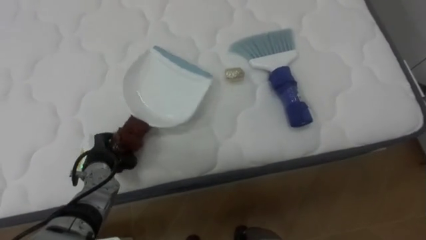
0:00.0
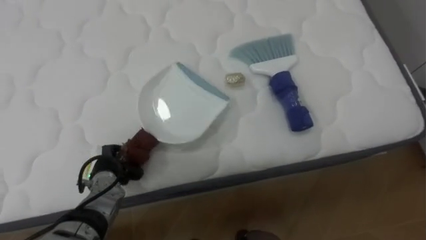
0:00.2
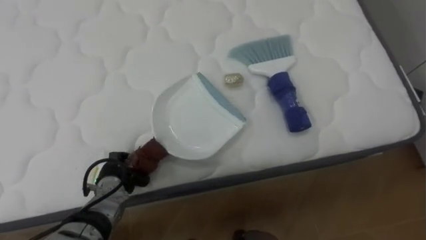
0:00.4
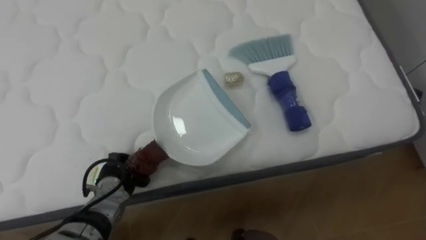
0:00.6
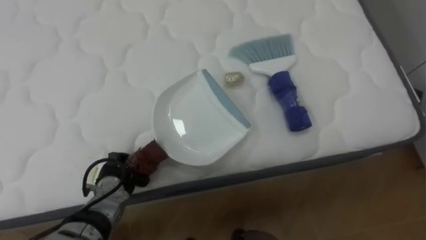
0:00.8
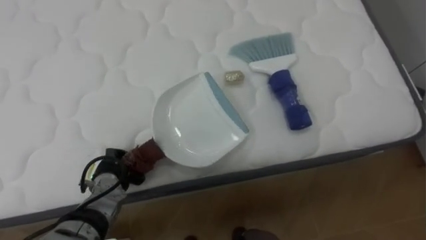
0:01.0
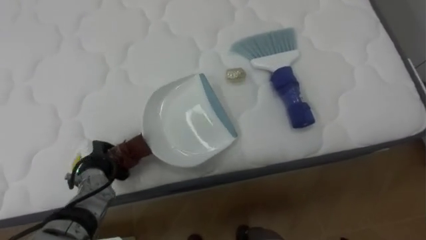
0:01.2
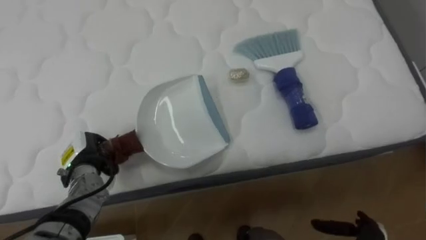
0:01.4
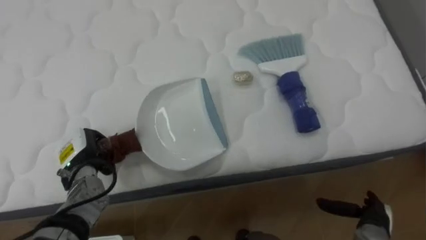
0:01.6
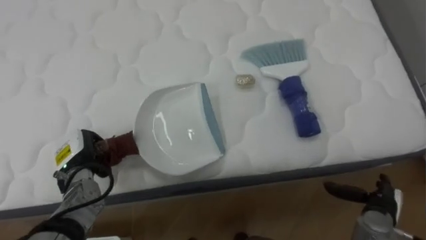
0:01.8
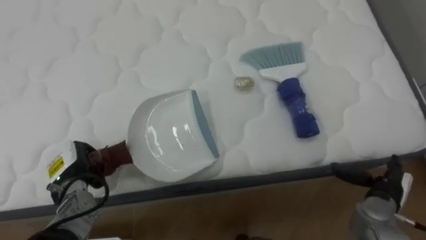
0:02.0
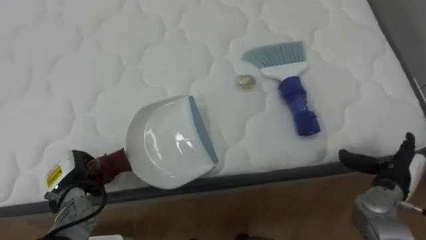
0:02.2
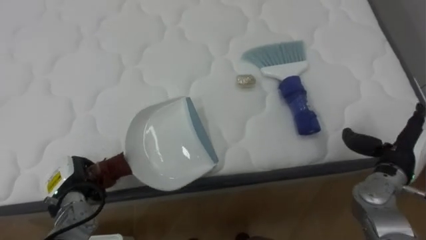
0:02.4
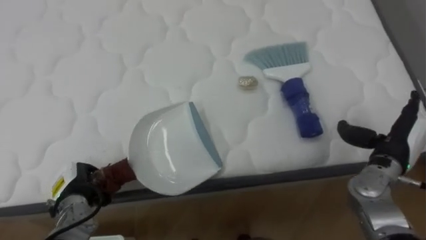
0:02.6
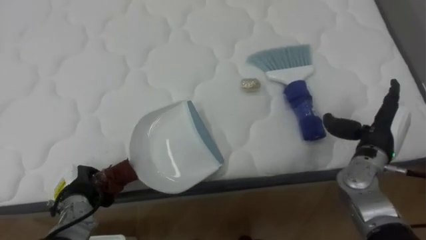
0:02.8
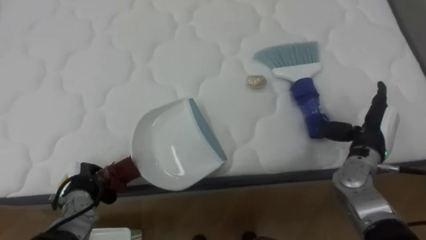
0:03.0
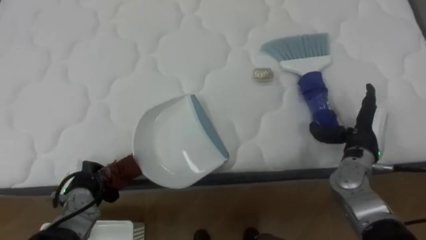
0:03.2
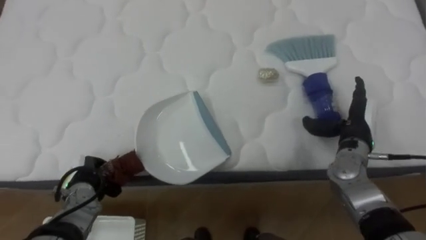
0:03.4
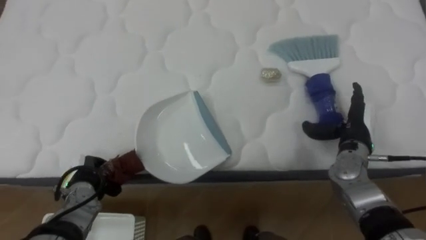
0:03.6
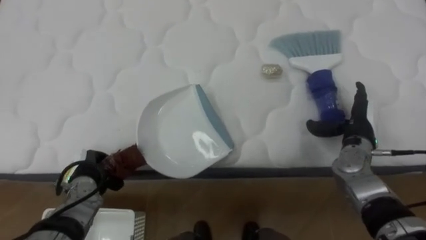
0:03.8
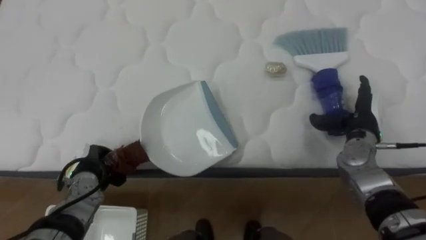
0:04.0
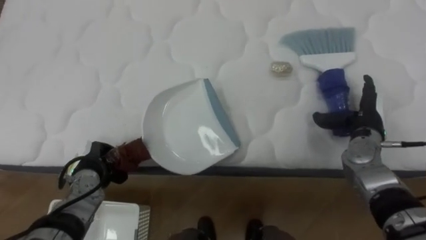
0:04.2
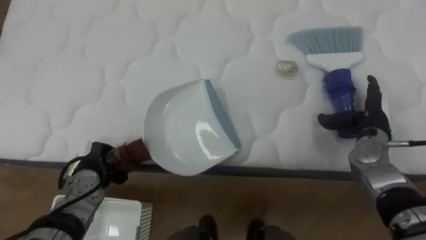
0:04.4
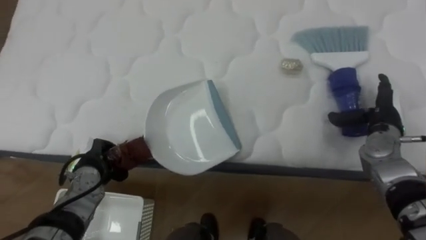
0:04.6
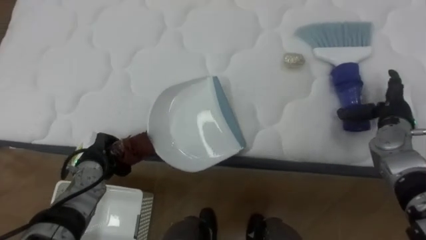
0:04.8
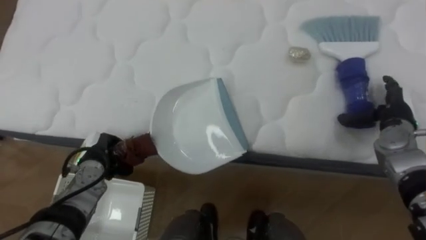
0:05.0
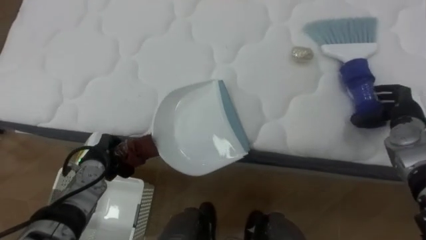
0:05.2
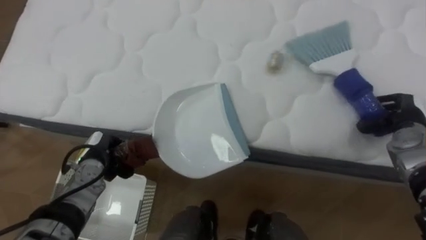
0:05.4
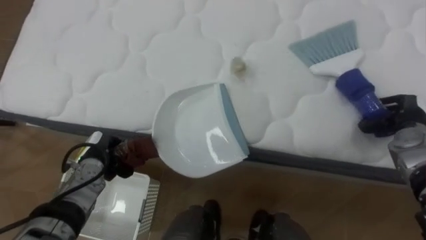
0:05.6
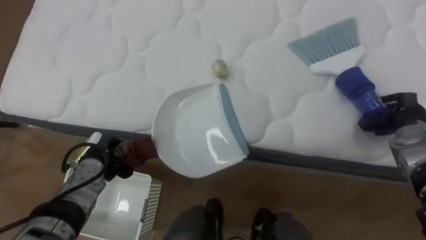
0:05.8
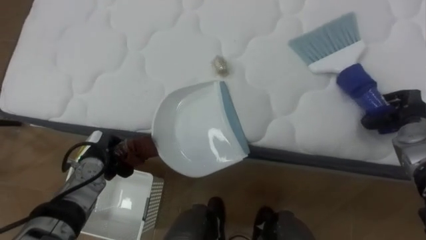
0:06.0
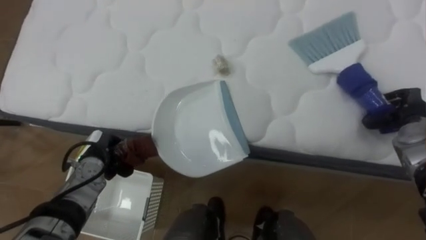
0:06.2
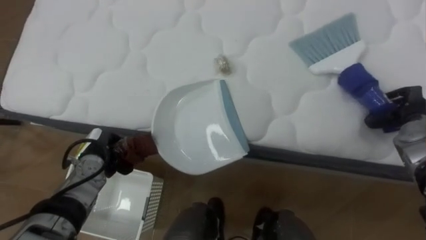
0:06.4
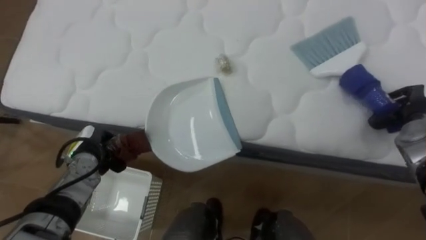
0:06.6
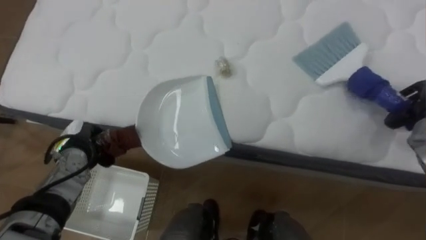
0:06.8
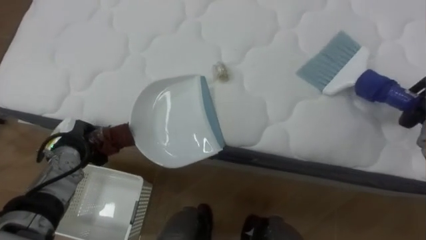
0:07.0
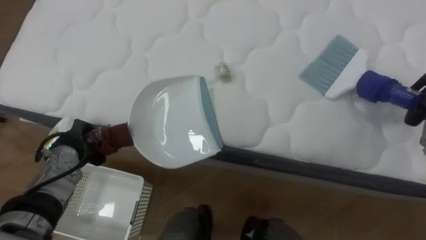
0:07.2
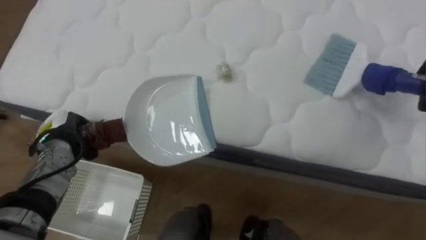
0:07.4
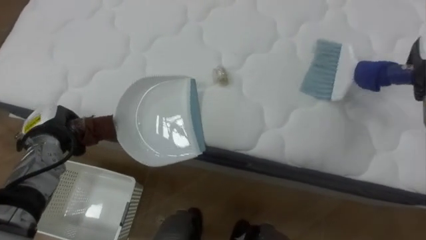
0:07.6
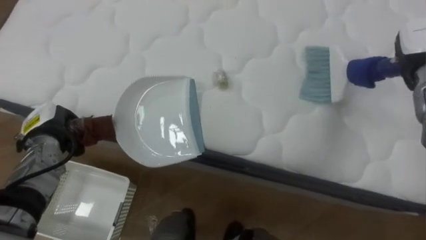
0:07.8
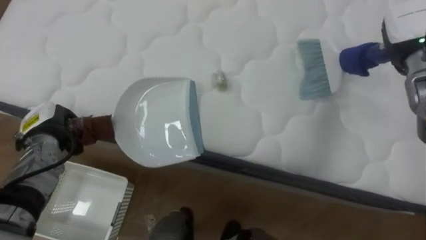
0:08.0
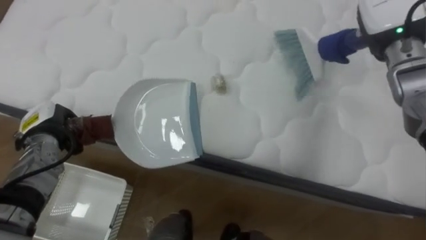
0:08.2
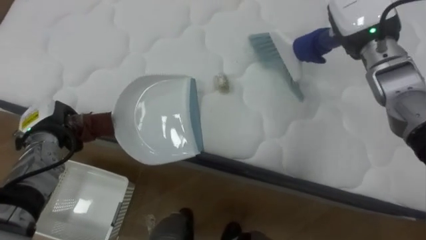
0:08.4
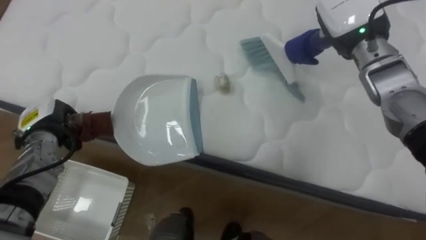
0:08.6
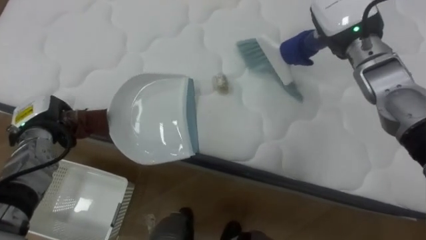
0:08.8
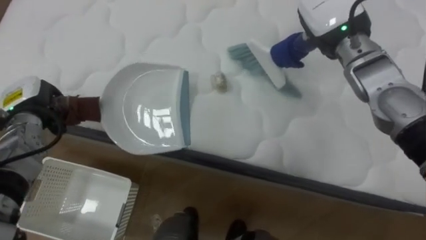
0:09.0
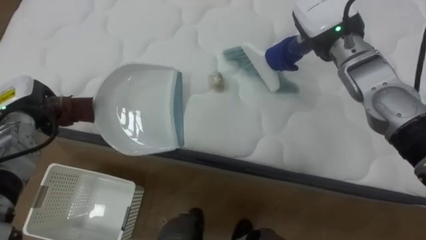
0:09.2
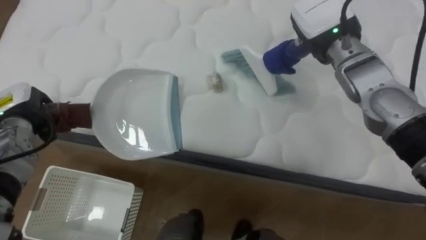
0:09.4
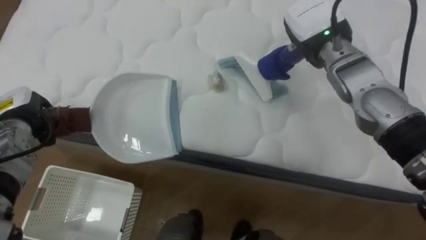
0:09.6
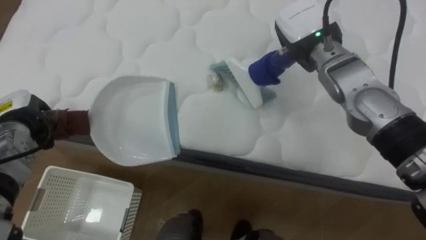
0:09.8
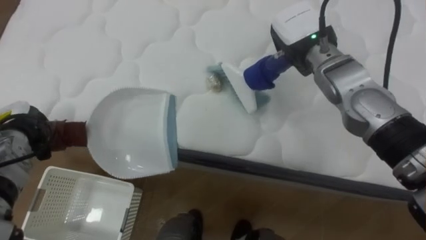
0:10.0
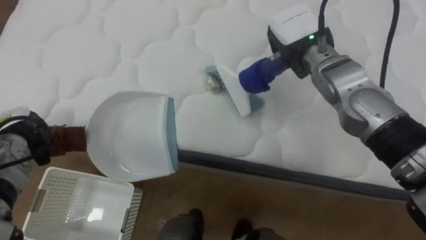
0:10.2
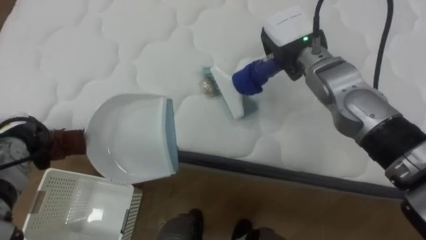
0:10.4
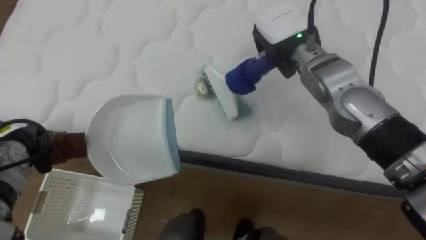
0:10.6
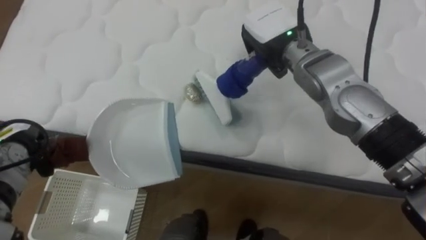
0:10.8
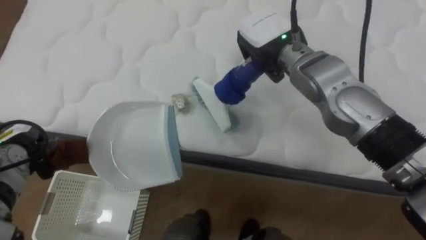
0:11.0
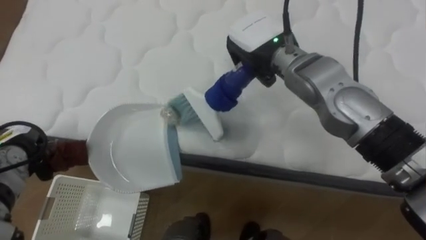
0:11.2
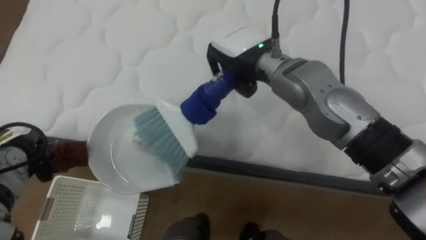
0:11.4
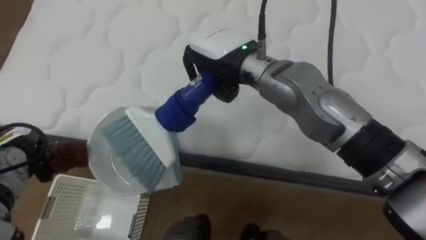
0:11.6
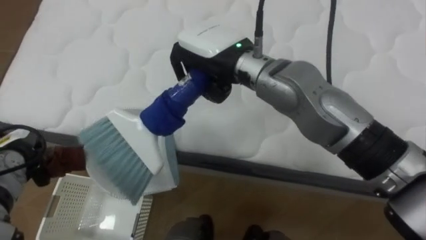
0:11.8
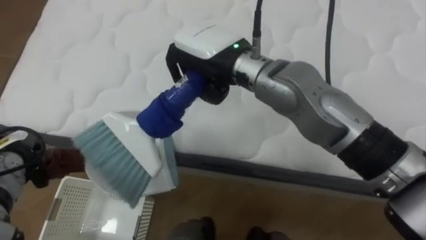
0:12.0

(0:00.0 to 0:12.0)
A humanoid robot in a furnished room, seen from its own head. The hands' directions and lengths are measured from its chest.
Task of the whole recording: Pick up the brush on your right and the dustpan on your left. Use the brush to sweep the crumpled paper on the bed into the dustpan, then turn left and empty it into the basket.
0:00.0 - 0:01.6: The left hand closes.
0:01.6 - 0:03.0: The left hand moves downward and backward, roughly 5 cm, while the right hand moves upward and forward, about 20 cm.
0:03.0 - 0:04.4: The left hand moves about 5 cm.
0:04.4 - 0:06.0: The right hand goes roughly 5 cm to the right, and closes its fingers.
0:06.0 - 0:07.6: The left hand is displaced to the left and upward by roughly 10 cm.
0:07.6 - 0:09.0: The left hand travels upward by approximately 5 cm.
0:09.0 - 0:10.4: The left hand shifts by some 5 cm. The right hand heads to the left, covering approximately 5 cm.
0:10.4 - 0:12.0: The right hand travels to the left and backward by approximately 15 cm.

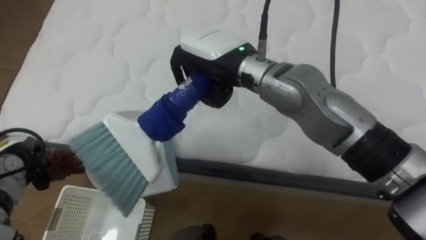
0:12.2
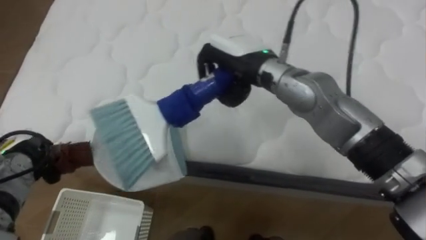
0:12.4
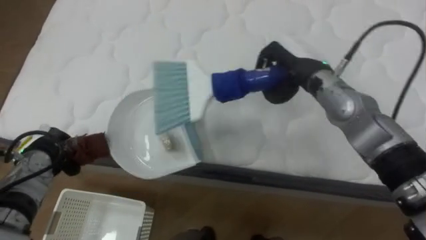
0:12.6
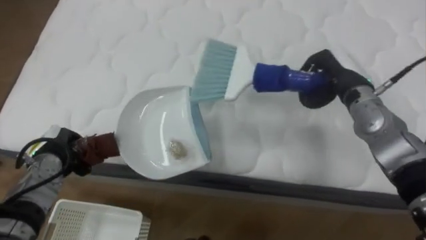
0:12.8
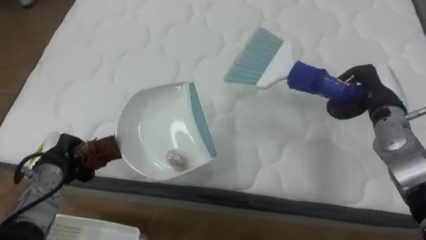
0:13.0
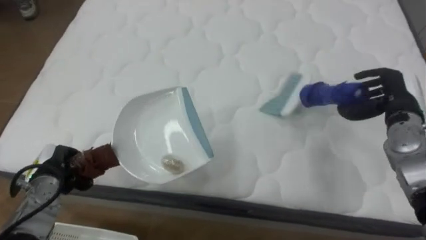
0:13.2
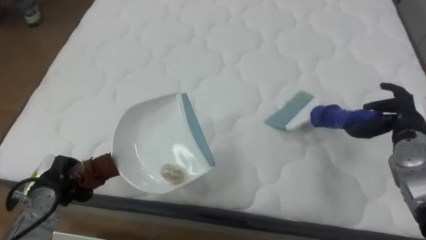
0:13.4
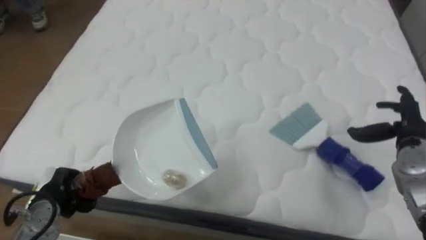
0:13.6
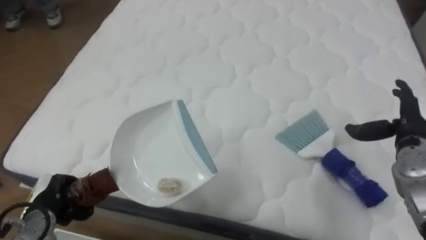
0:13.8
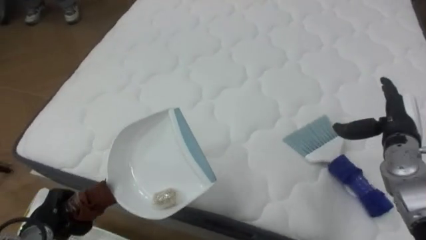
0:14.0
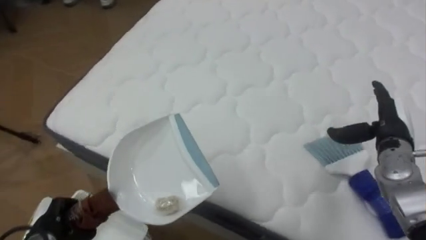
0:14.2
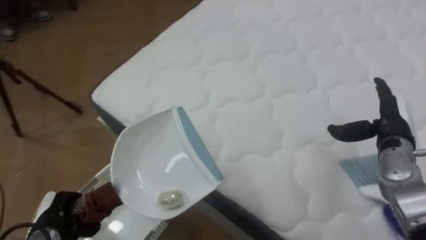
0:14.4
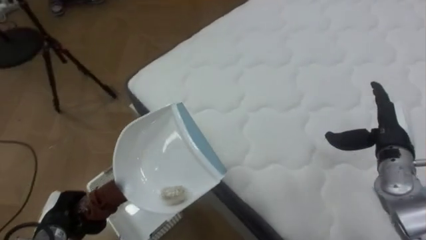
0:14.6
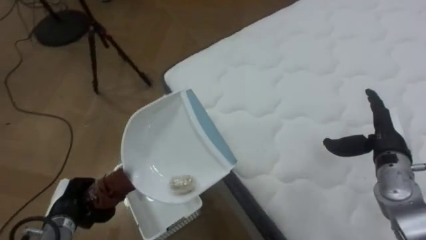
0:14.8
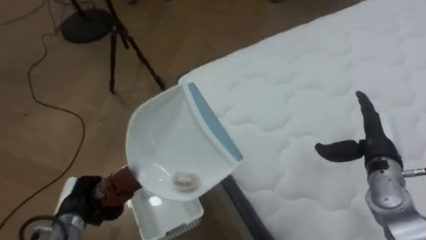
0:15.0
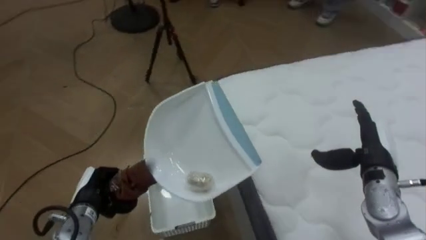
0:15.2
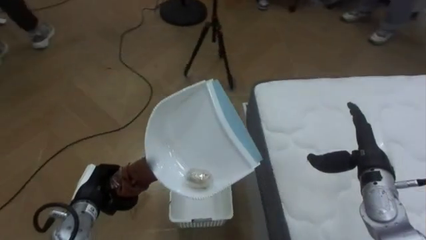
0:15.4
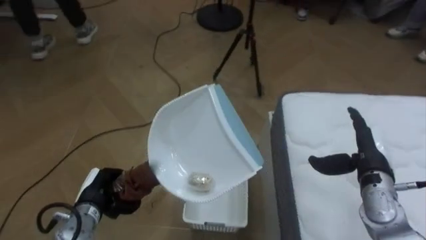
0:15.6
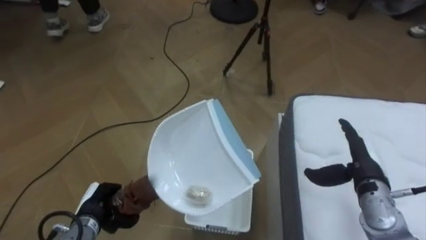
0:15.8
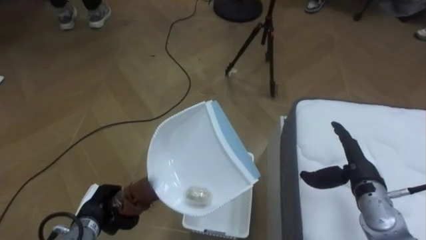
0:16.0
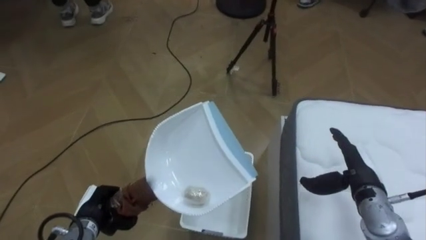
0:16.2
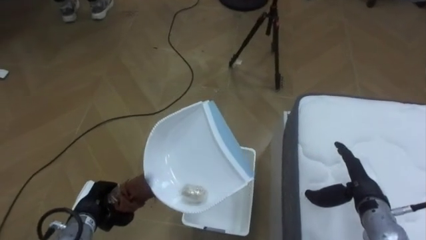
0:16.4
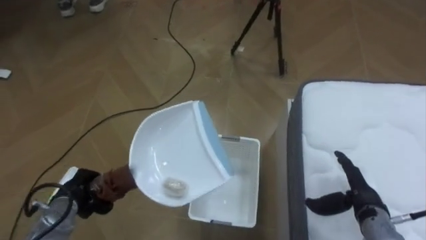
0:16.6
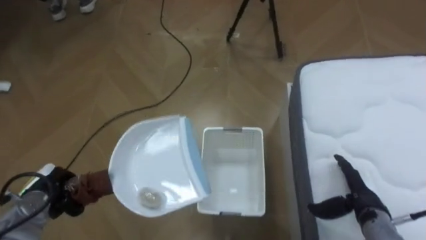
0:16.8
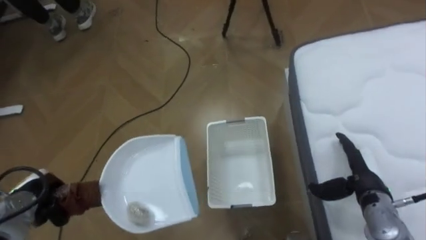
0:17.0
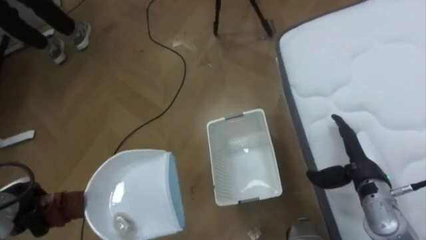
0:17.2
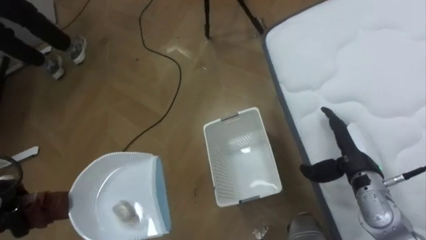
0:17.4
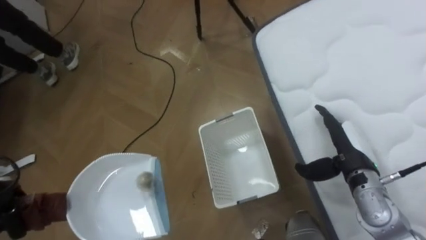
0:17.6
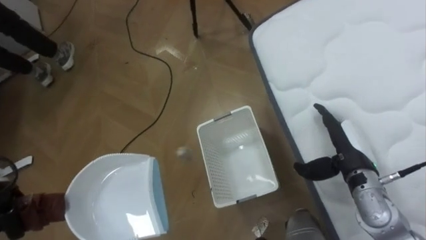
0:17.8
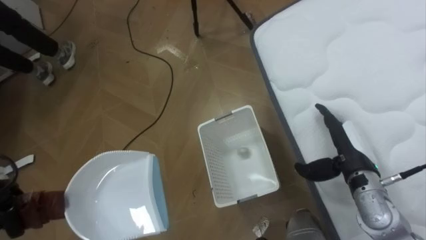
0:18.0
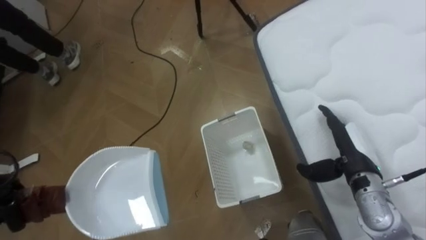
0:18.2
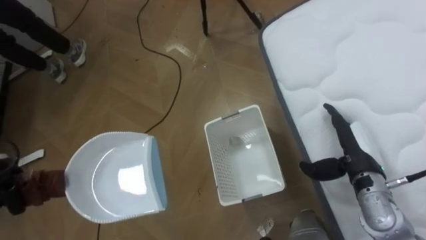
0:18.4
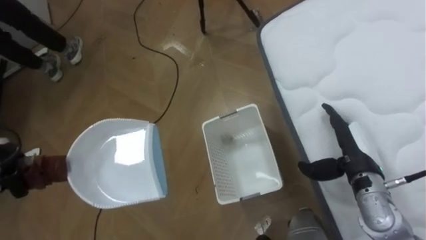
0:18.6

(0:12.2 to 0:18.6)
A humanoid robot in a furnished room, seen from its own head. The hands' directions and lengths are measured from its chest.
Task of the whole recording: Pick up the brush on your right and the dustpan on your left. Use the brush to sweep the crumpled paper on the bed into the dustpan, then turn left and empty it into the basket.
0:12.2 - 0:13.8: The left hand is displaced backward, to the right and downward by about 10 cm; the right hand shifts some 40 cm to the right and downward, and opens up.
0:13.8 - 0:15.4: The robot faces approximately 75 degrees further to its left. The right hand travels to the left by approximately 5 cm; the left hand goes roughly 10 cm to the right.
0:15.4 - 0:17.0: The right hand shifts about 5 cm downward. The left hand goes some 10 cm to the left.
0:17.0 - 0:18.6: The right hand shifts by approximately 5 cm.
